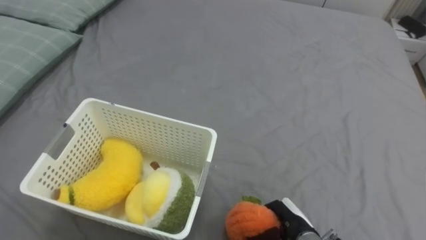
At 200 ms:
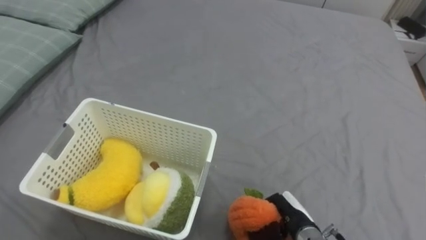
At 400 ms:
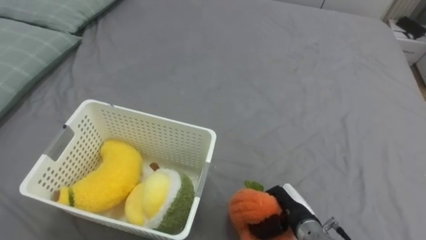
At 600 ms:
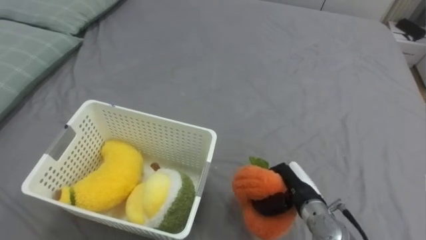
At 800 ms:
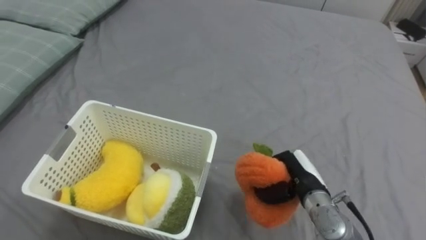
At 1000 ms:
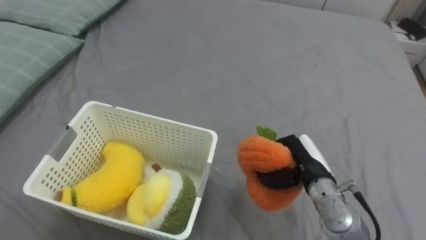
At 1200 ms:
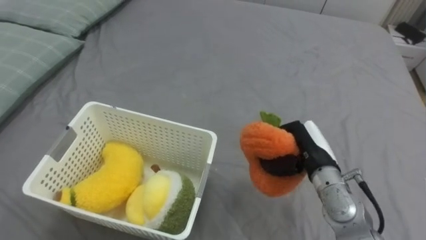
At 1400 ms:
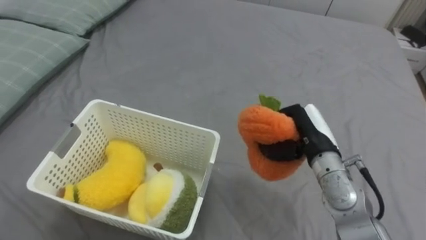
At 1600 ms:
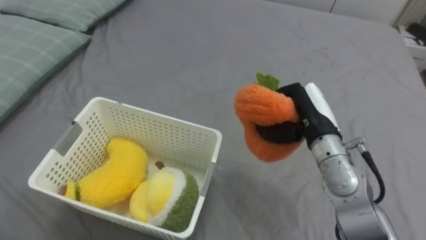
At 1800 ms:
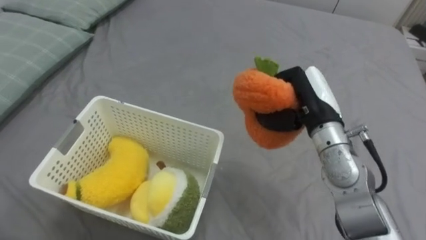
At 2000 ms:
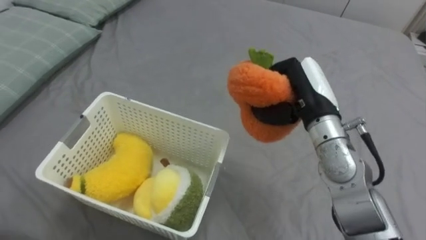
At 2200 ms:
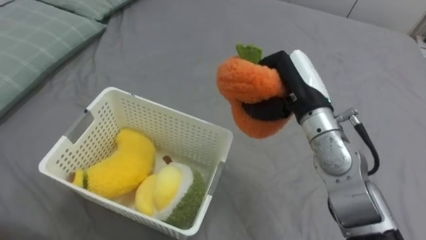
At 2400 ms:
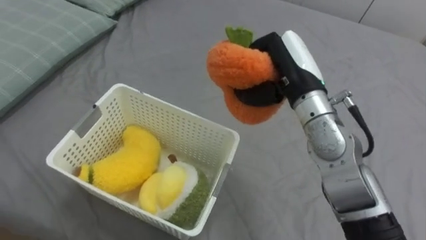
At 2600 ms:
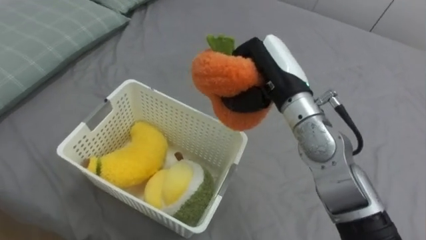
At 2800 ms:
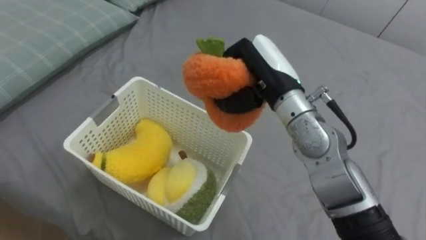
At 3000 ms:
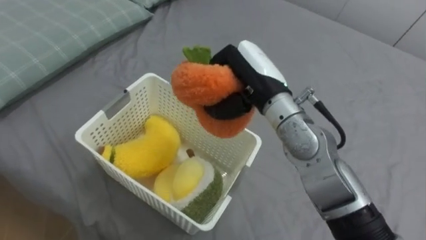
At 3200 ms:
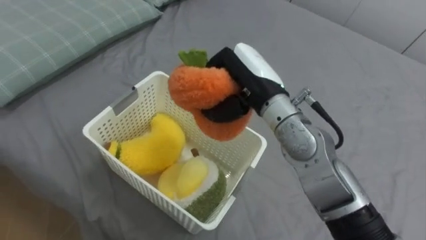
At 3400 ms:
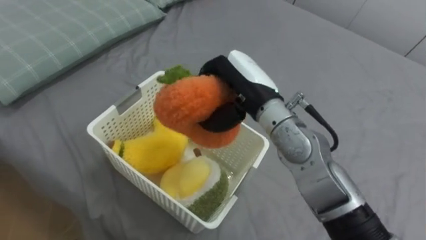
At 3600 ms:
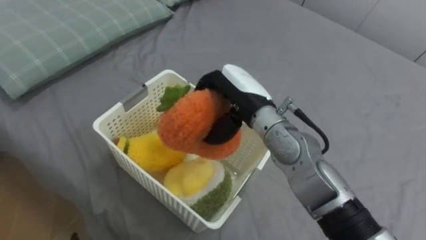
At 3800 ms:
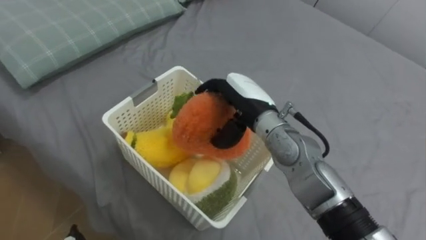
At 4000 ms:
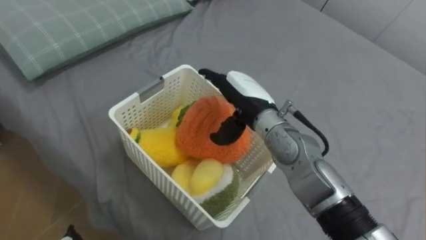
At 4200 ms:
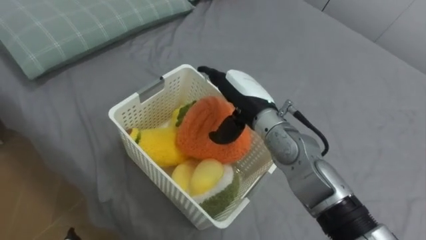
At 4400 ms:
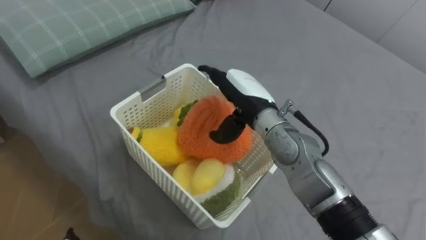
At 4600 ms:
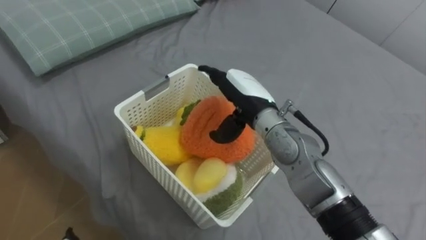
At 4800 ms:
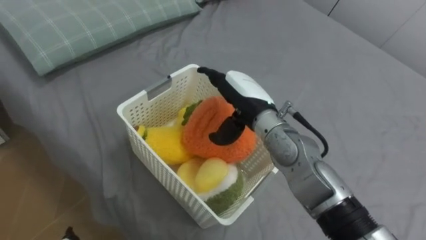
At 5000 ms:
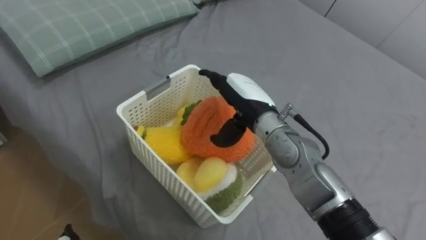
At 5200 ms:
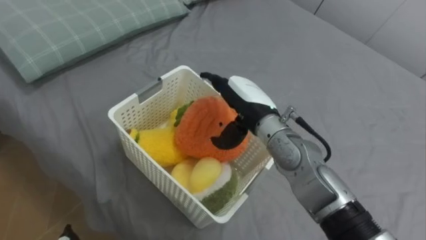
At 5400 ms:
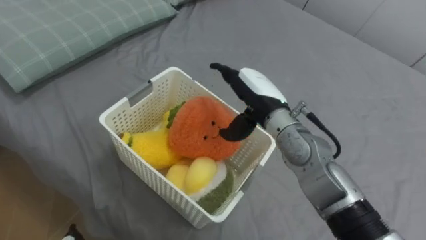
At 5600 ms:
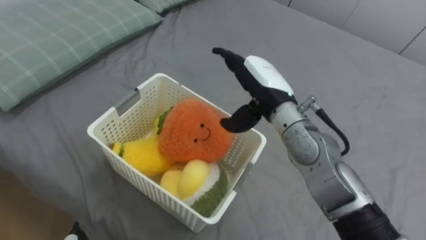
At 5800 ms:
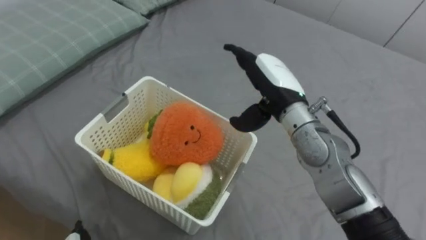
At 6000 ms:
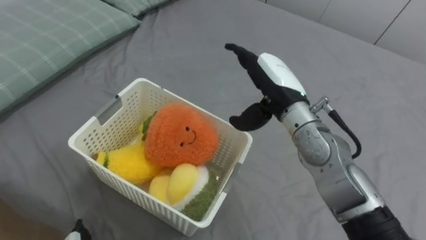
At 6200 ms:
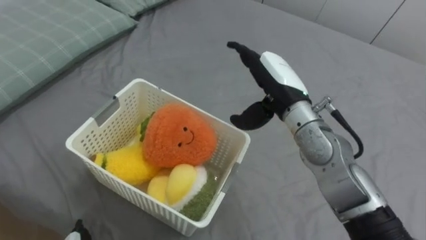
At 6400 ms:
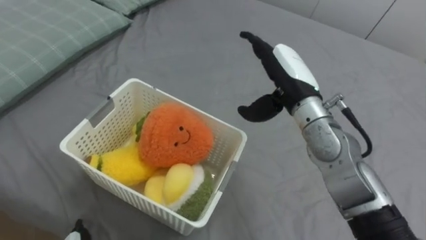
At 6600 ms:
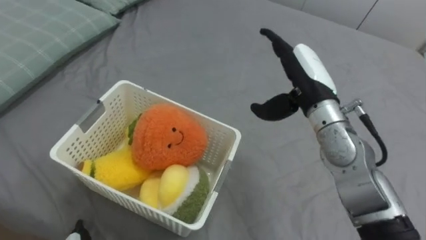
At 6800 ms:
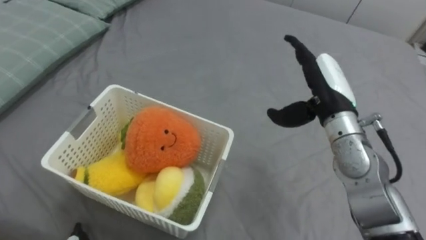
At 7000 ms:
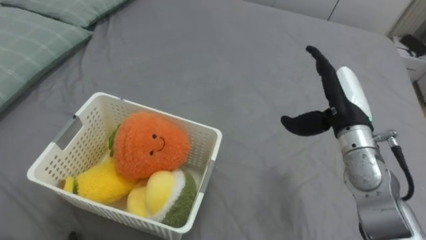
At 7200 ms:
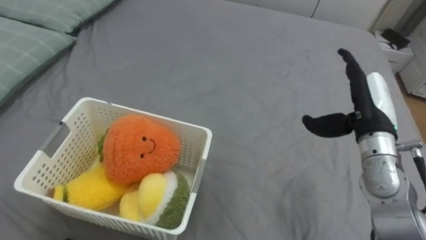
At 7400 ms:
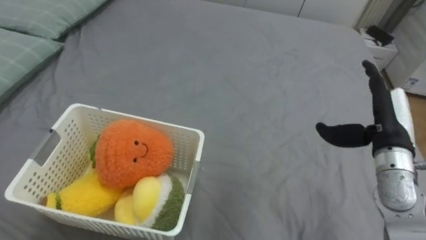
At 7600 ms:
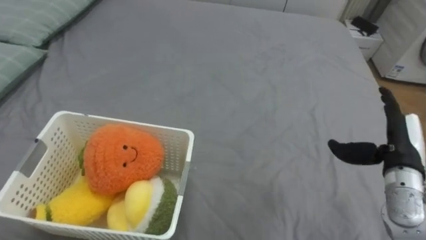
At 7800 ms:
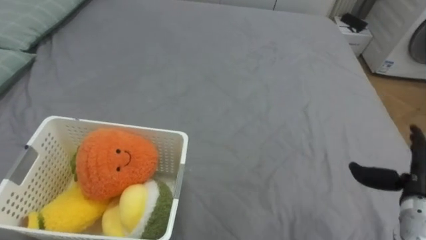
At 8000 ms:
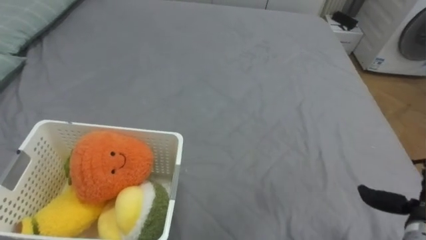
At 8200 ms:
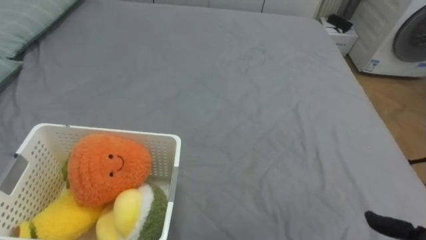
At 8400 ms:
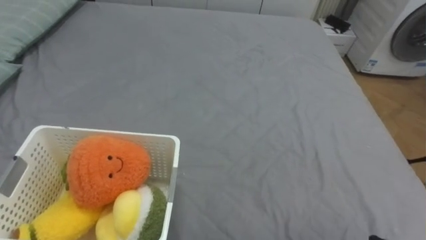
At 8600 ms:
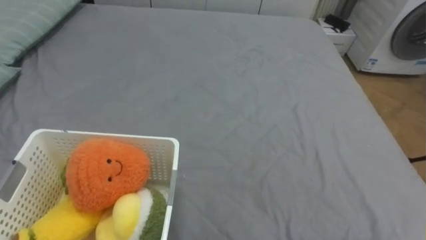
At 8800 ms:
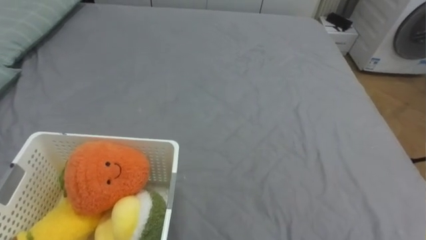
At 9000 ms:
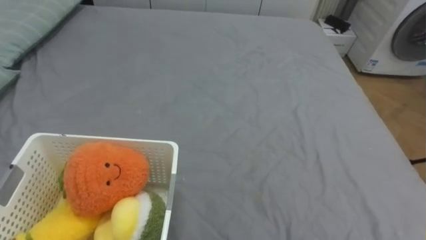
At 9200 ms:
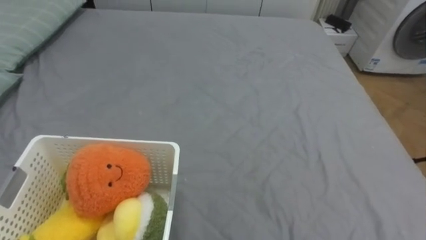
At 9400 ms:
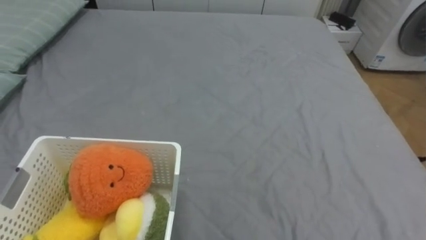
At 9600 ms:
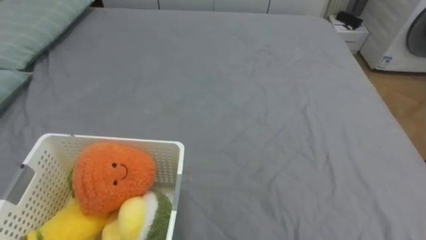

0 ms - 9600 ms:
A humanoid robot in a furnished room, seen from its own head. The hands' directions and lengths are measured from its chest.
Task of the whole recording: Put the toys on the bed into the basket on the left.
0 ms - 1600 ms: The right hand goes approximately 25 cm upward and forward.
1600 ms - 3200 ms: The right hand heads to the left and upward, covering about 15 cm.
3200 ms - 4800 ms: The right hand shifts some 5 cm downward, and opens its fingers.
4800 ms - 6400 ms: The right hand shifts approximately 5 cm to the right.
6400 ms - 8000 ms: The right hand is displaced to the right, downward and backward by roughly 35 cm.

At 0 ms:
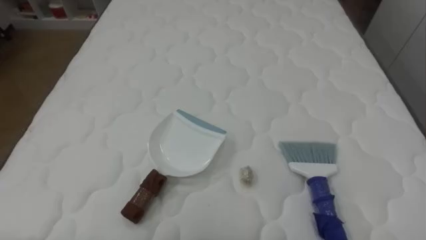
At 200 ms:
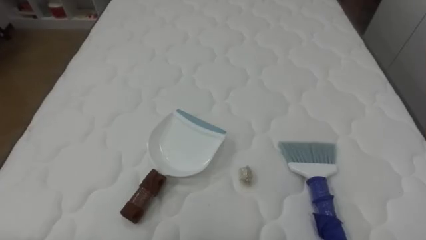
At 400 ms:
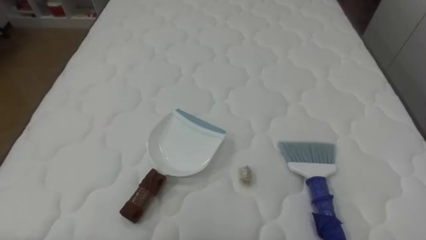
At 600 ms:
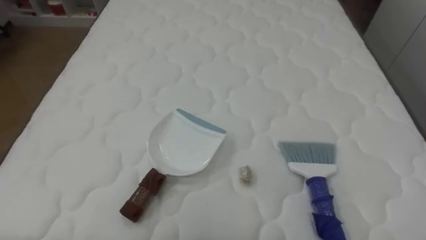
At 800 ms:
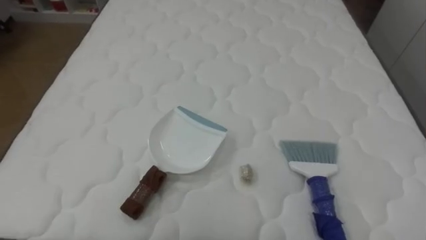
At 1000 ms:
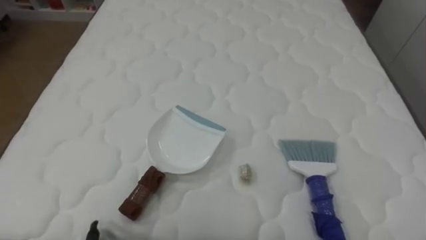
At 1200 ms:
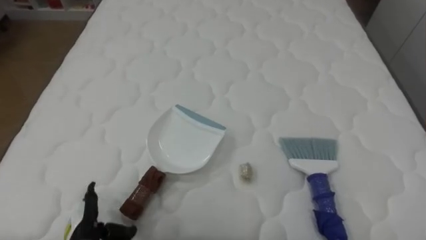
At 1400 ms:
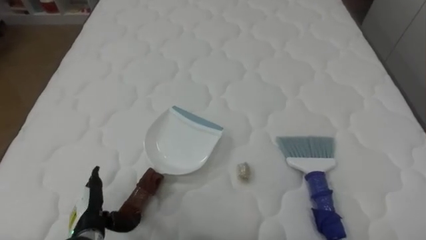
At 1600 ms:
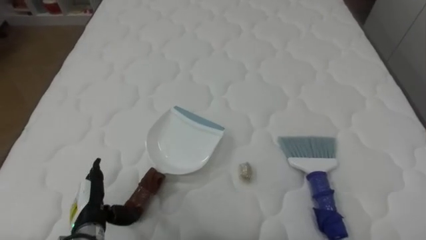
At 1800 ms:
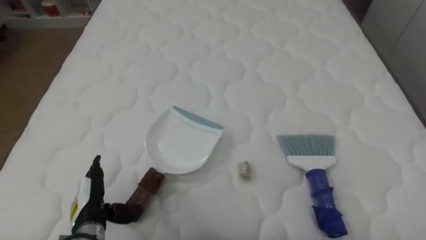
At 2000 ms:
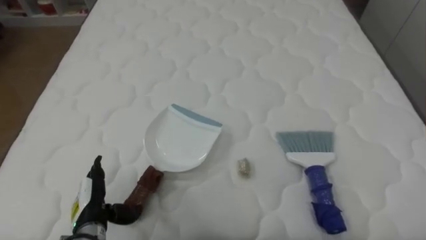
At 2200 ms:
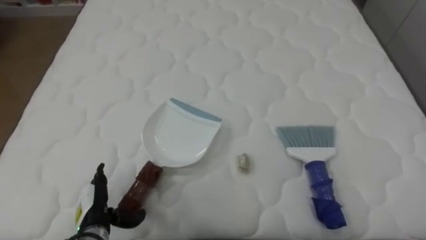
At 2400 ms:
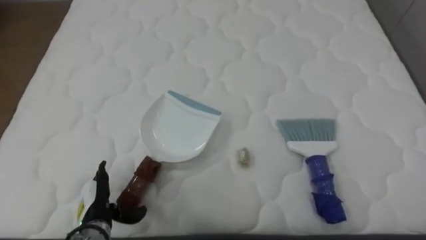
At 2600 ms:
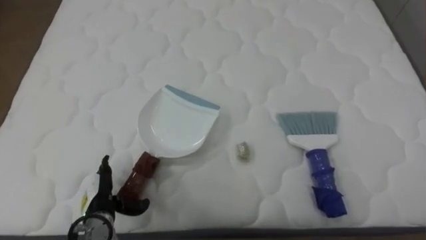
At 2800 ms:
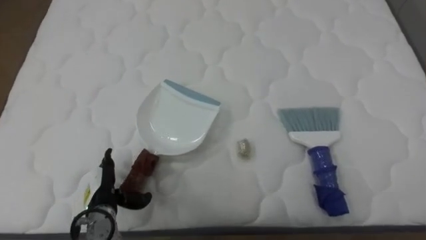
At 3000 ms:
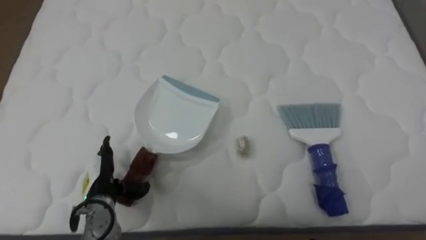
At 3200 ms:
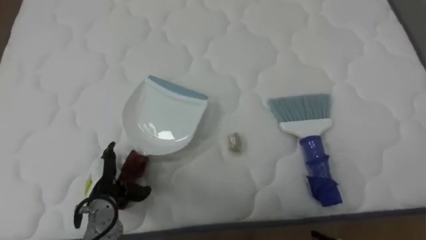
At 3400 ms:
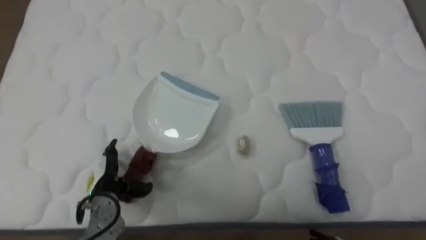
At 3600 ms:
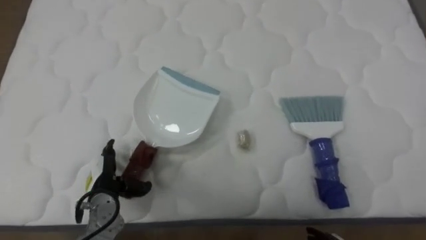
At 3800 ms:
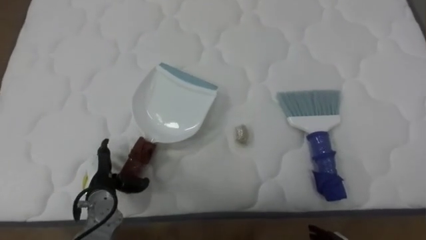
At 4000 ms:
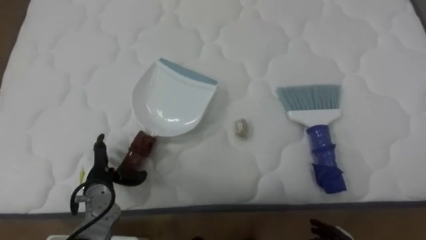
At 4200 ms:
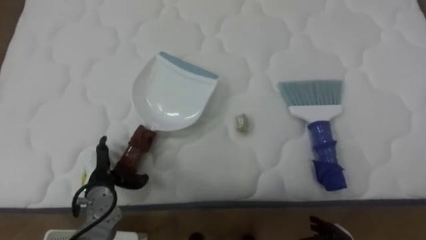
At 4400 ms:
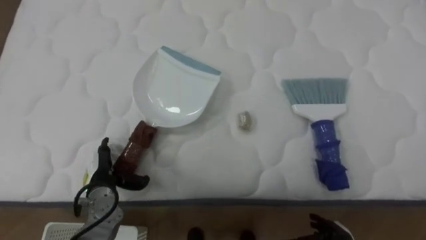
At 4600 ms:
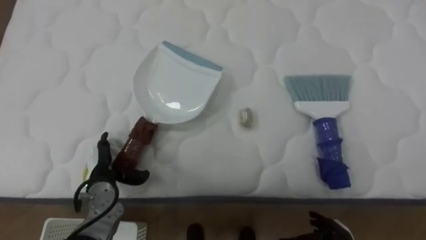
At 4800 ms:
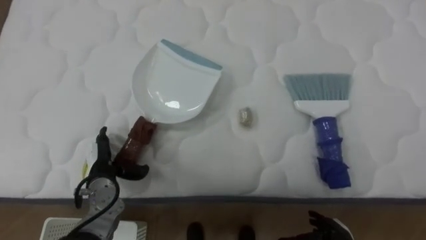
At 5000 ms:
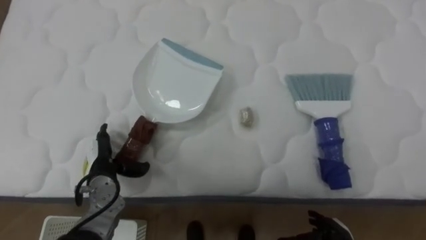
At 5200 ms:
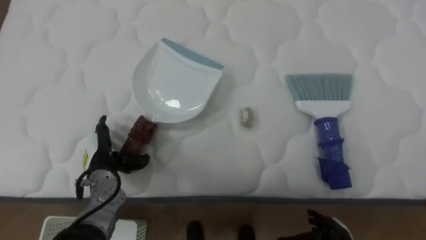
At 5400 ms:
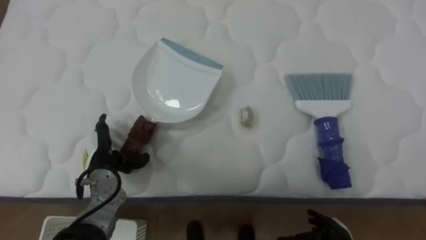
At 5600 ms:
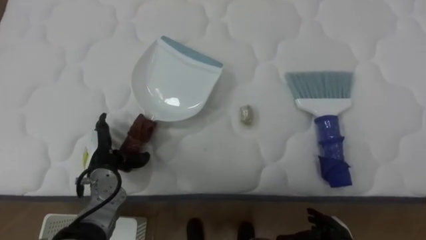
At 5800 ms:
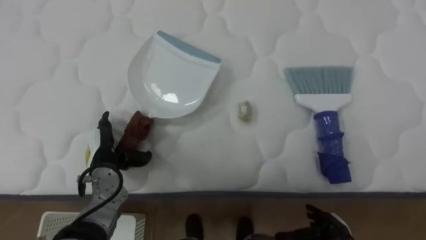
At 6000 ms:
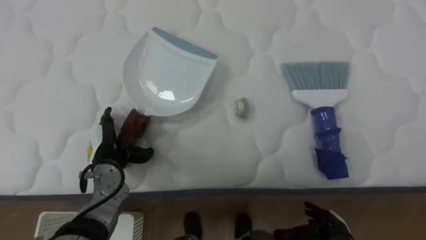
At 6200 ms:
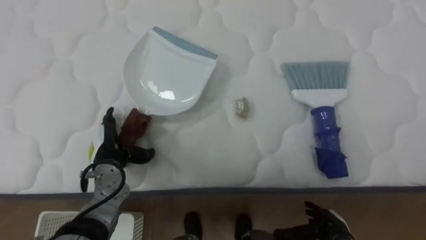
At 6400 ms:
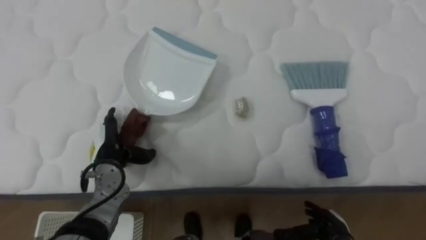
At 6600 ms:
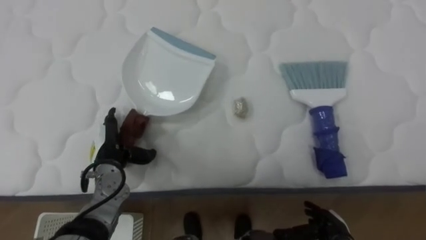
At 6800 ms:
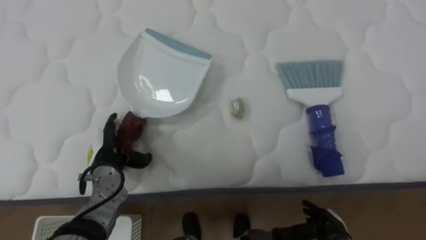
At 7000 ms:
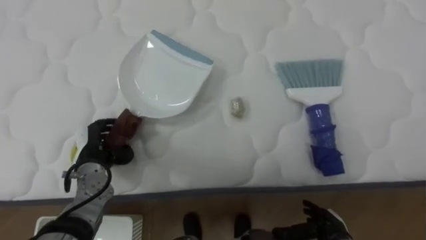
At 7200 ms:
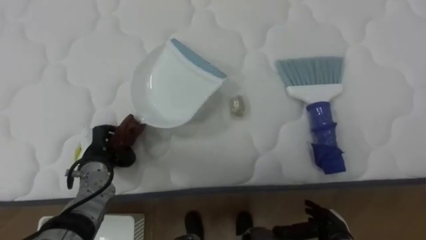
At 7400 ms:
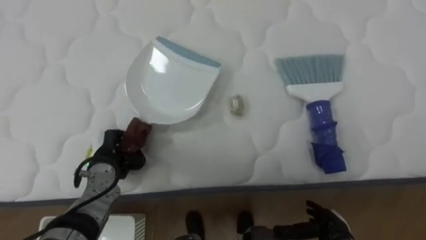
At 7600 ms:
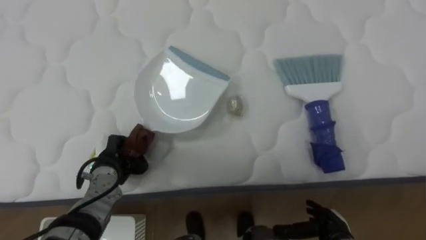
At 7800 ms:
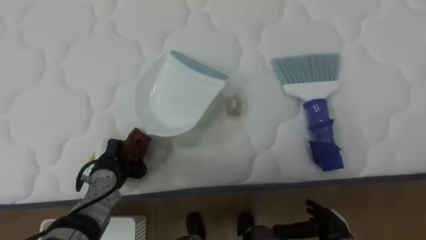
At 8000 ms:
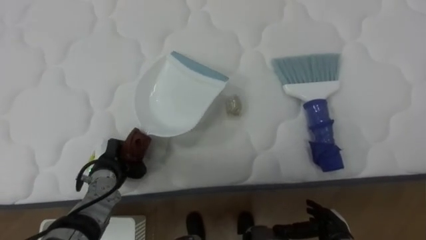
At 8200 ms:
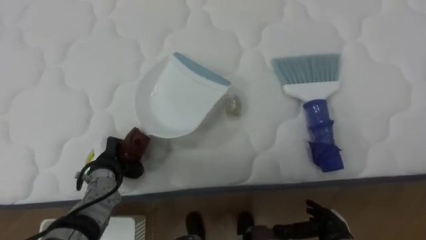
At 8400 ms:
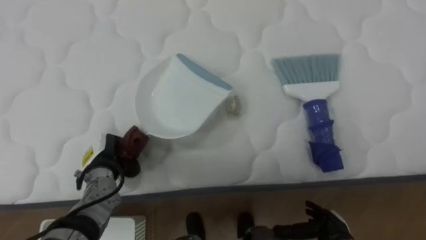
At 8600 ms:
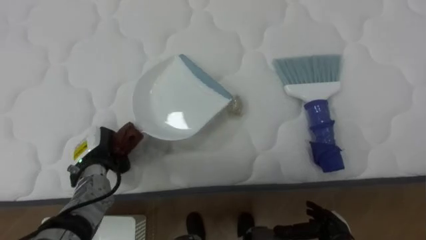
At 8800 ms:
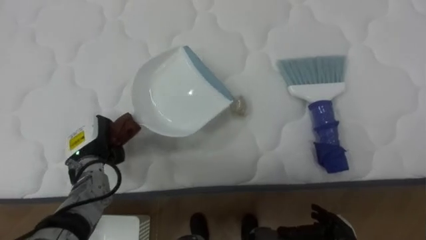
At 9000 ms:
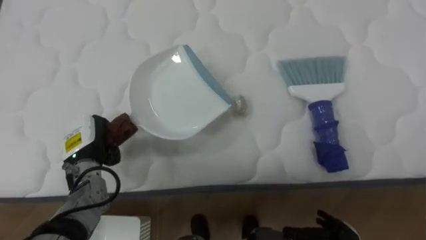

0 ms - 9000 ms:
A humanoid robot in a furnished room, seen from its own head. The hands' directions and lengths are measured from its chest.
Task of the whole recording: Pick up the brush on your right and the dustpan on your left. Use the brush to sweep the crumpled paper on the bed into the dustpan, then turn left and empty it into the basket.
1600 ms - 3000 ms: The left hand moves forward, approximately 5 cm.
4400 ms - 6000 ms: The left hand moves approximately 5 cm.
6000 ms - 7600 ms: The left hand closes up.
7600 ms - 9000 ms: The left hand travels upward by about 5 cm.
